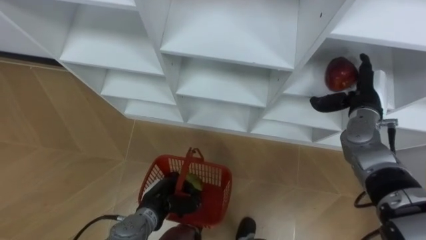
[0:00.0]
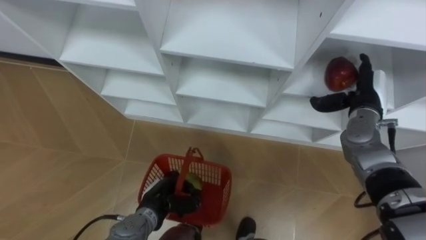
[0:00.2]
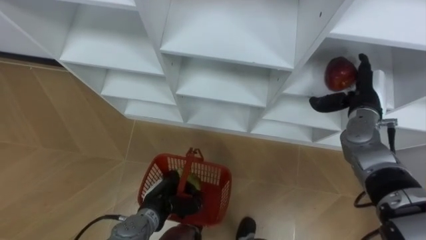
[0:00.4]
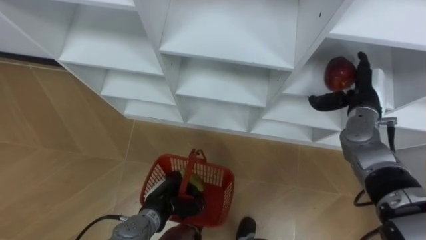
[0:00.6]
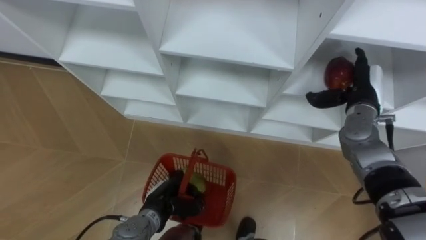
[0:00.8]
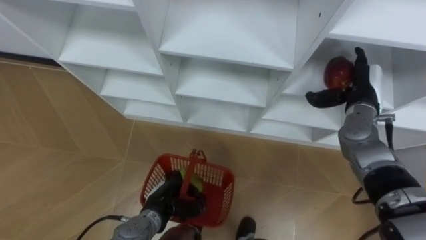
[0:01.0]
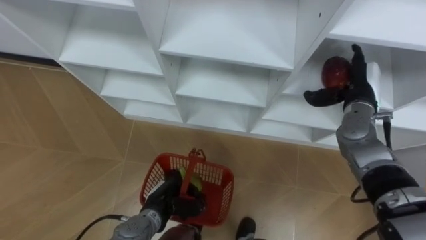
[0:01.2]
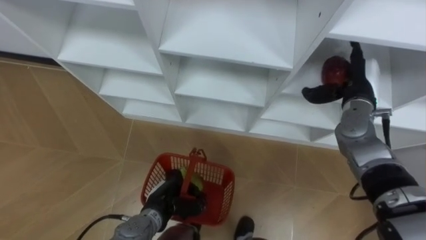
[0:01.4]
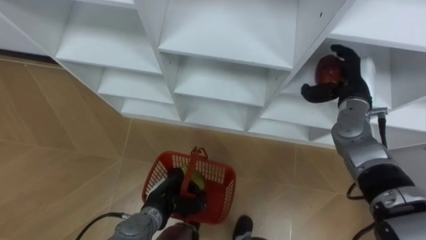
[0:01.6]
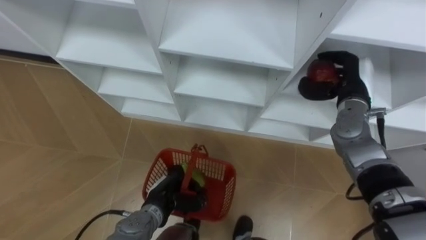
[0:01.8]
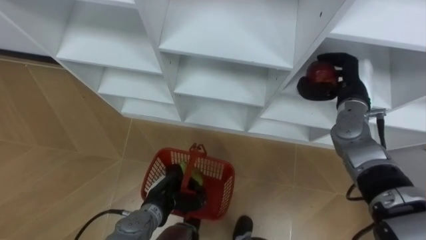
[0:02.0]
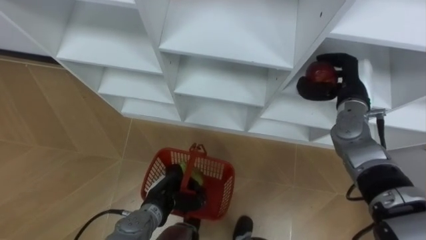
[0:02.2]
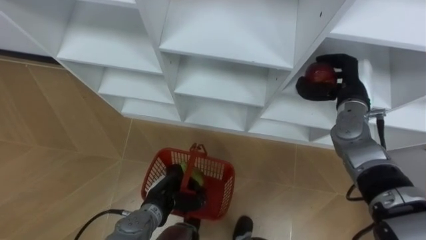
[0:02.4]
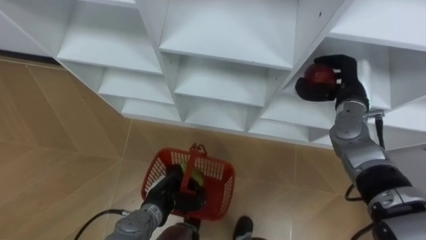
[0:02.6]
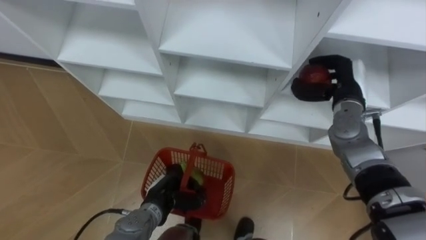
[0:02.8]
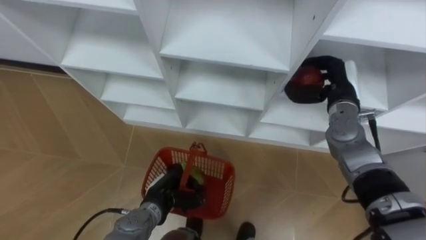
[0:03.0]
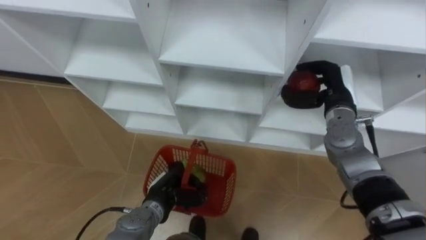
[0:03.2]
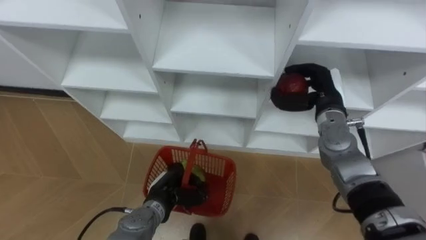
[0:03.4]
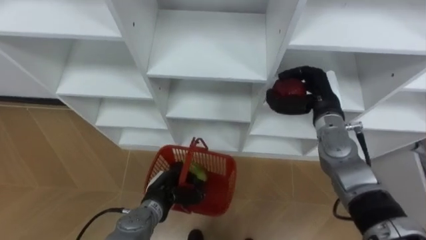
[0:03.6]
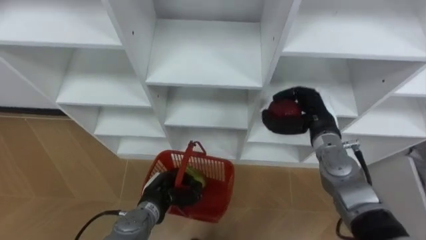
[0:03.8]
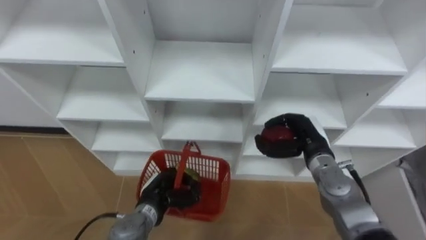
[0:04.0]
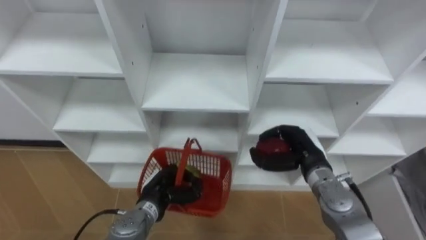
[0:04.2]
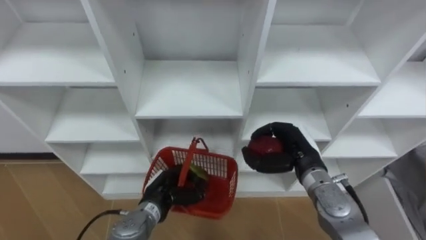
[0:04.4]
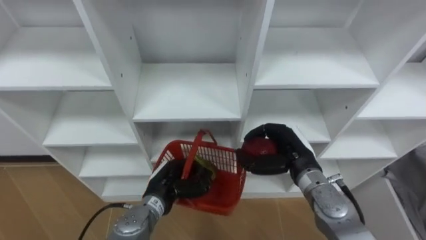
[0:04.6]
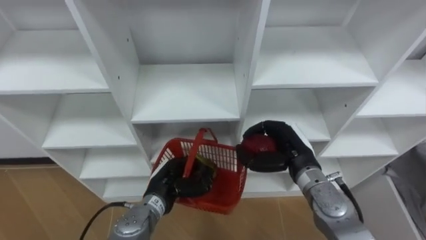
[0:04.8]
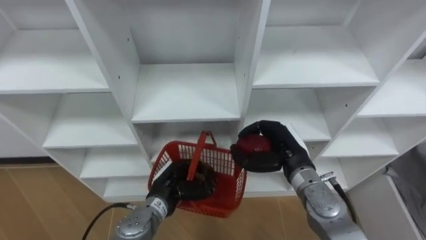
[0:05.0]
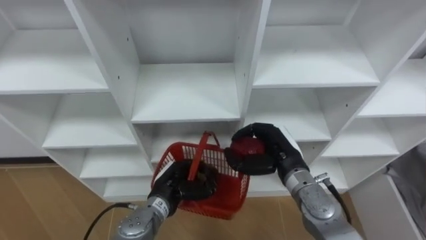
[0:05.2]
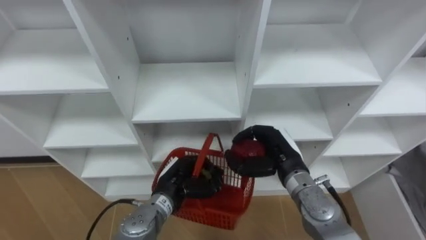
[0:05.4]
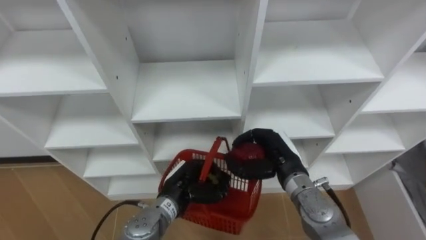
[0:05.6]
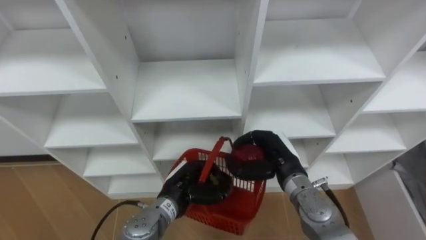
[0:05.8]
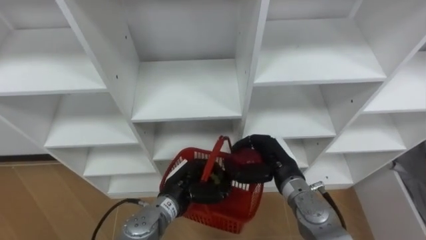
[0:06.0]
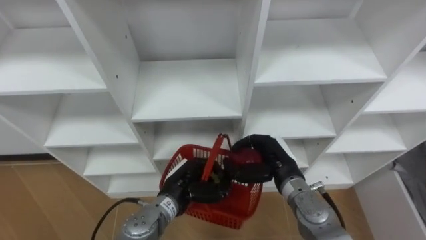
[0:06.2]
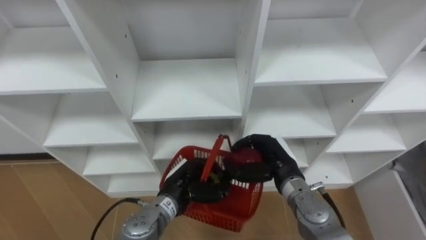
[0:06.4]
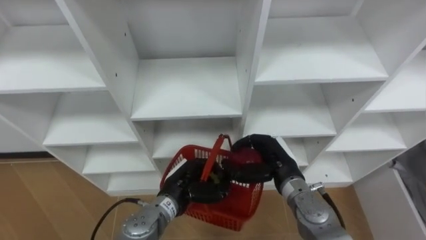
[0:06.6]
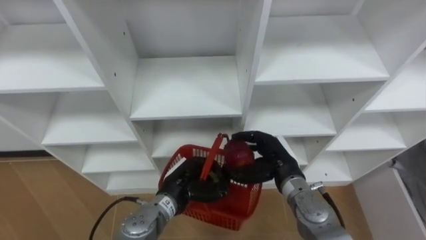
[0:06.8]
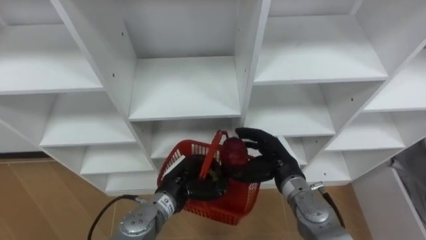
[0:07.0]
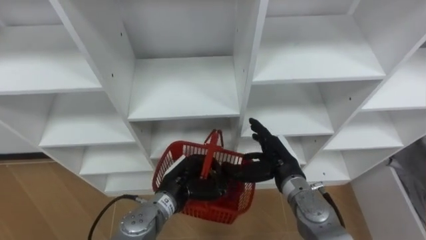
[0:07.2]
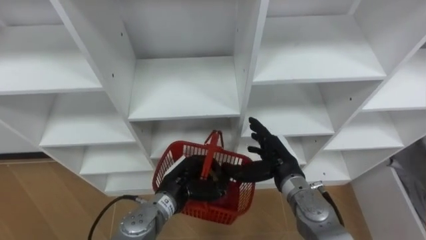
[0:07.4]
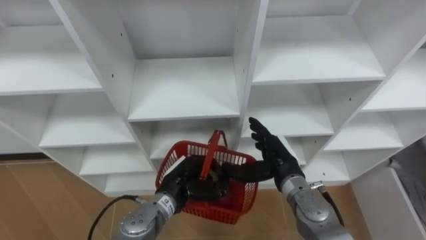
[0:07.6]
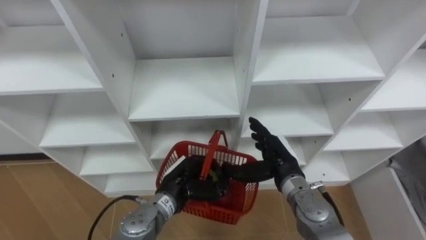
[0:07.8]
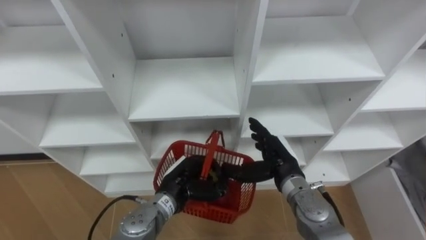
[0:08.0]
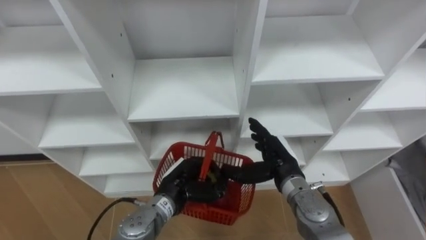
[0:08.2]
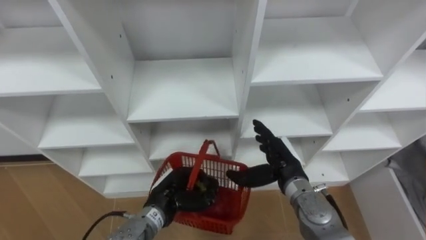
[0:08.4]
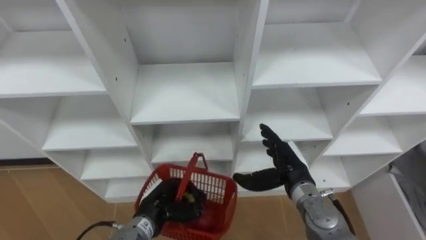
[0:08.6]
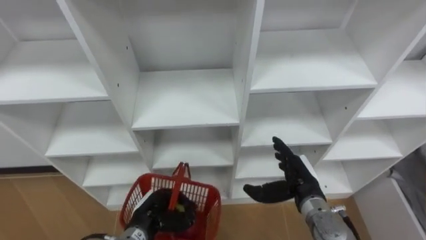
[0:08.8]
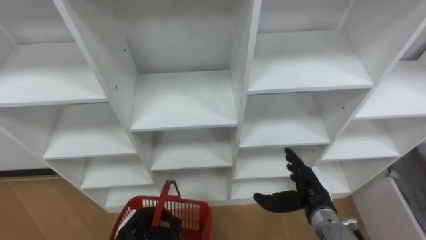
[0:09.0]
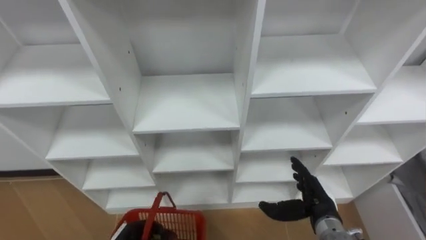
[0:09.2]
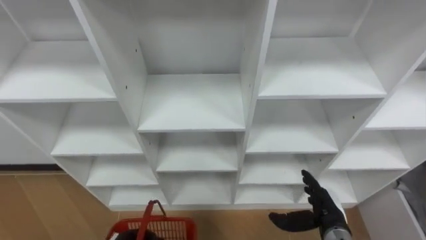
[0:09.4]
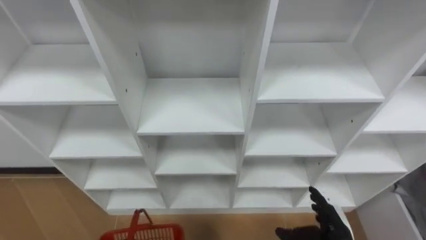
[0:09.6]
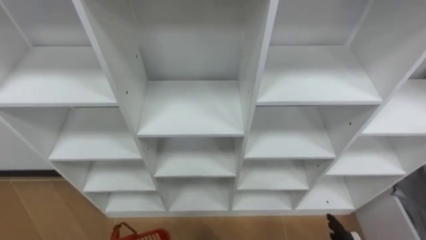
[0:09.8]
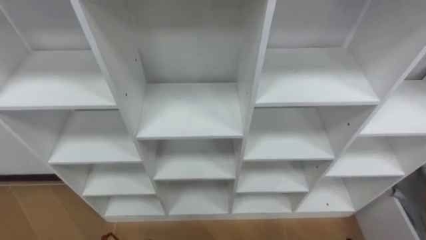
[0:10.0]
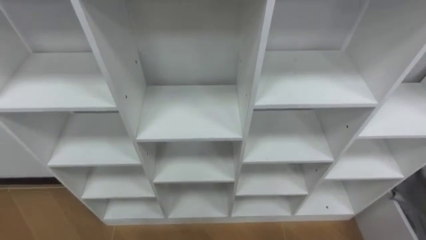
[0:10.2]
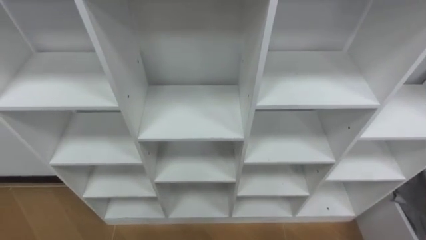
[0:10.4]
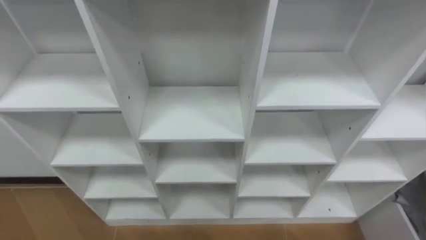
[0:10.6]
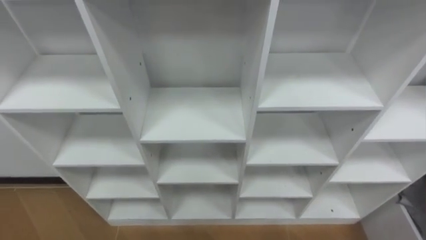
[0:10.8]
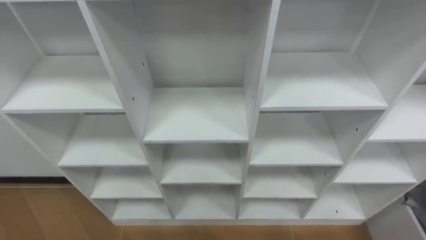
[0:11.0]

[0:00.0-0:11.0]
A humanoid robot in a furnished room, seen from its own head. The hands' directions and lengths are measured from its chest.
Task of the whole recording: Hold the basket and collect the fruits from 3 different cells of the closet into it.
0:00.0 to 0:01.6: The hands stay close to where they were, moving slightly.
0:01.6 to 0:03.2: The right hand closes its fingers.
0:03.2 to 0:04.8: The right hand goes about 15 cm backward, to the left and downward.
0:06.2 to 0:07.8: The right hand opens up.
0:07.8 to 0:09.4: The right hand goes some 15 cm to the right, backward and downward.

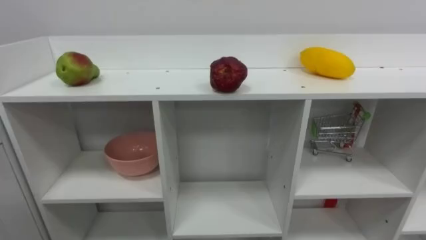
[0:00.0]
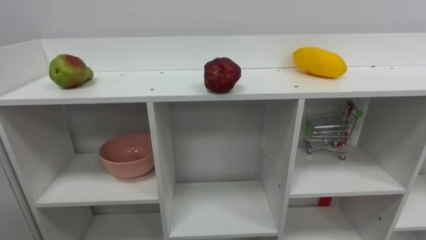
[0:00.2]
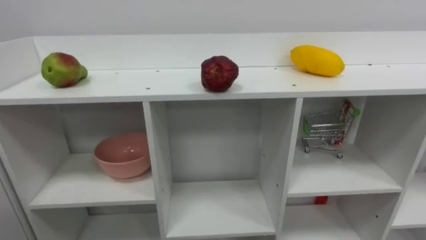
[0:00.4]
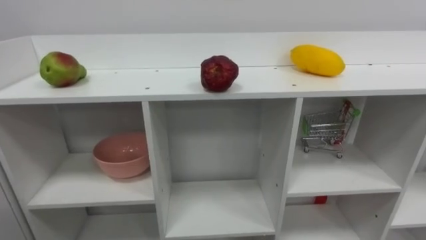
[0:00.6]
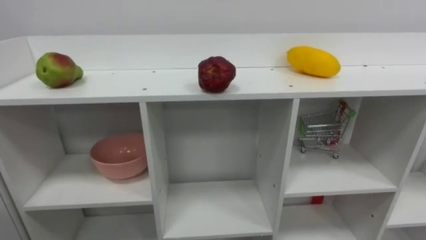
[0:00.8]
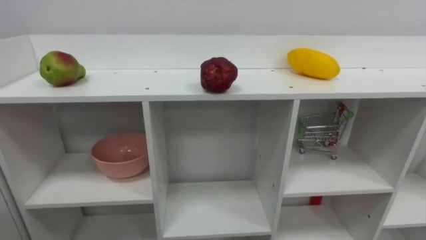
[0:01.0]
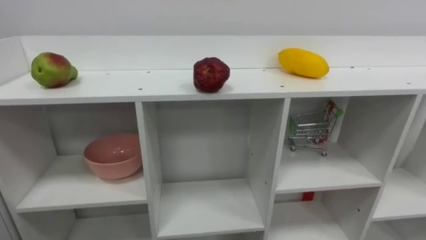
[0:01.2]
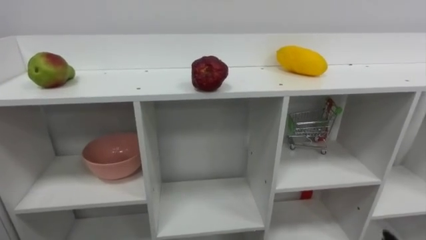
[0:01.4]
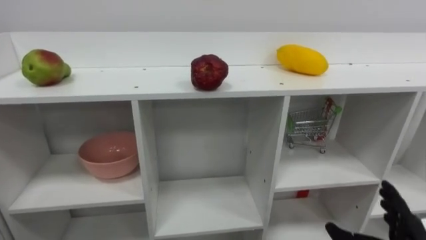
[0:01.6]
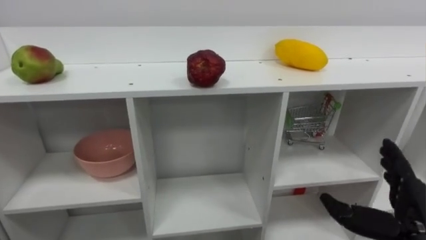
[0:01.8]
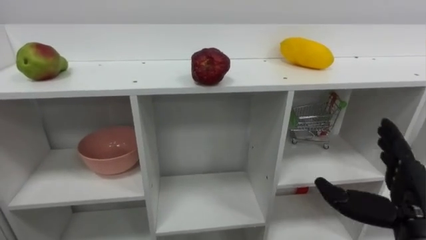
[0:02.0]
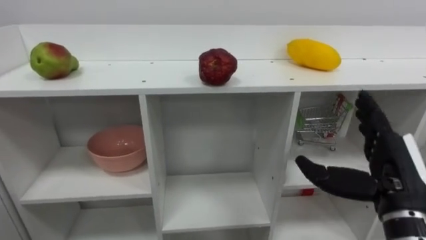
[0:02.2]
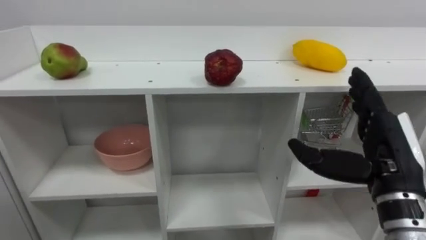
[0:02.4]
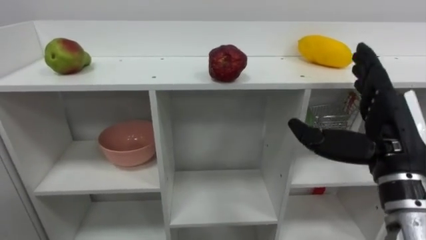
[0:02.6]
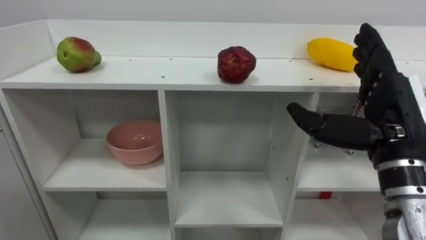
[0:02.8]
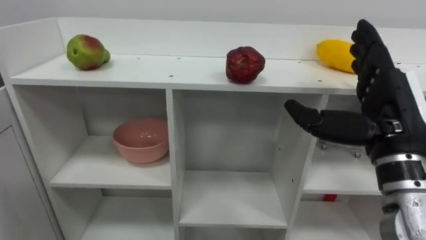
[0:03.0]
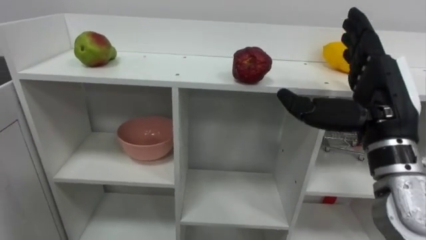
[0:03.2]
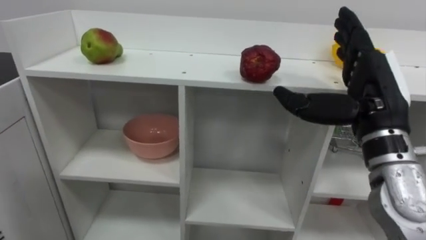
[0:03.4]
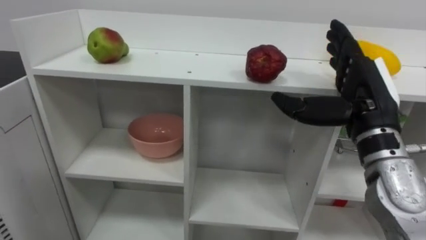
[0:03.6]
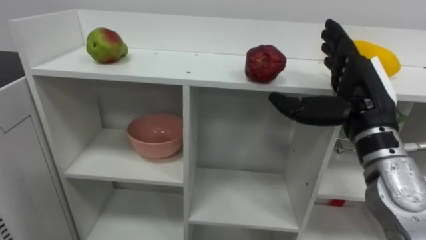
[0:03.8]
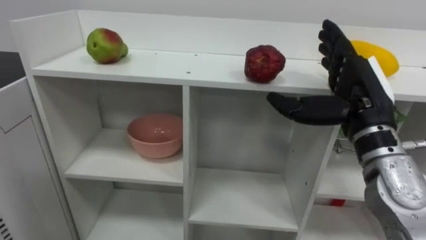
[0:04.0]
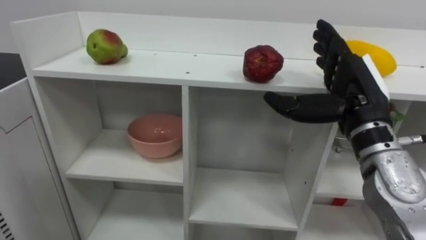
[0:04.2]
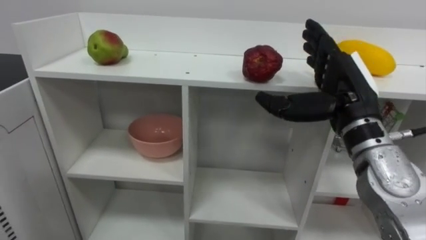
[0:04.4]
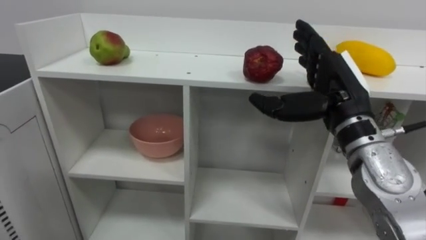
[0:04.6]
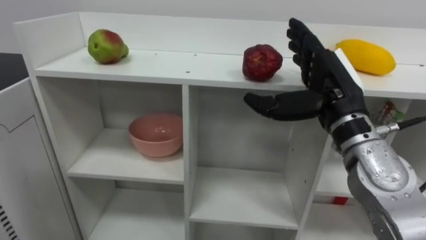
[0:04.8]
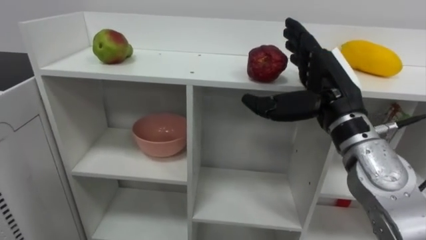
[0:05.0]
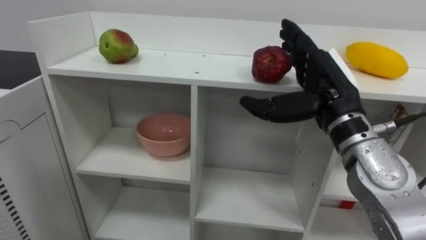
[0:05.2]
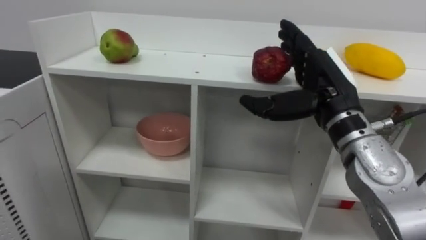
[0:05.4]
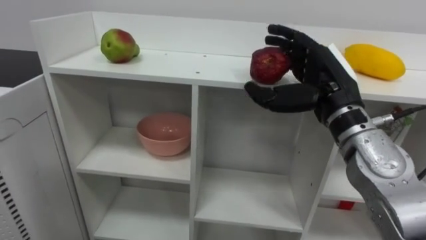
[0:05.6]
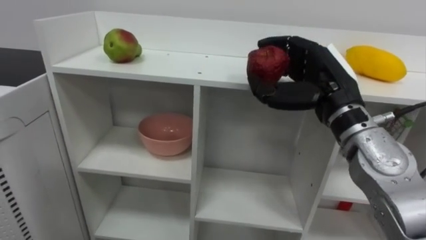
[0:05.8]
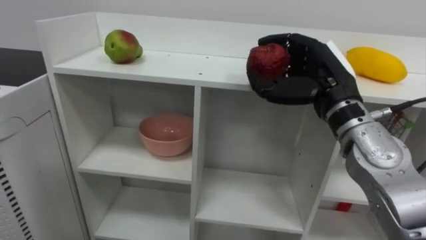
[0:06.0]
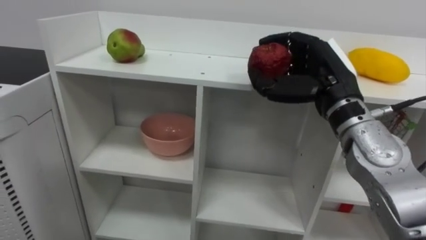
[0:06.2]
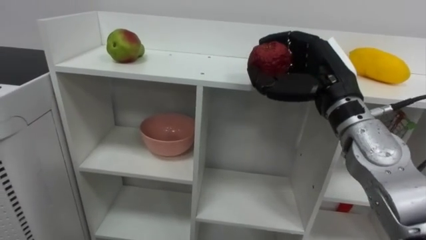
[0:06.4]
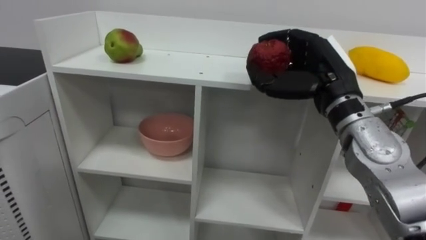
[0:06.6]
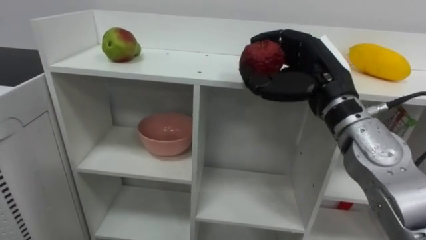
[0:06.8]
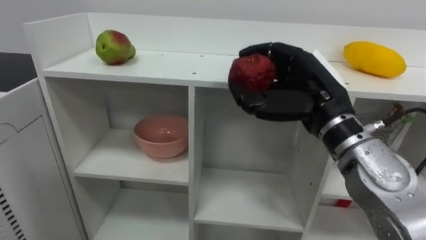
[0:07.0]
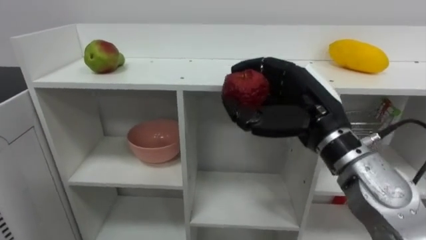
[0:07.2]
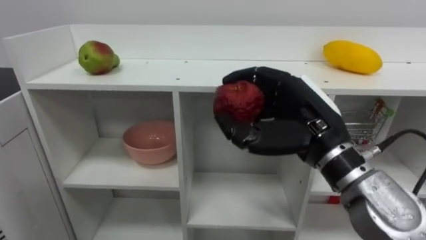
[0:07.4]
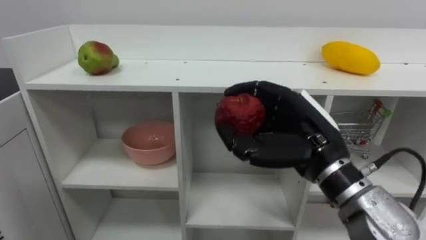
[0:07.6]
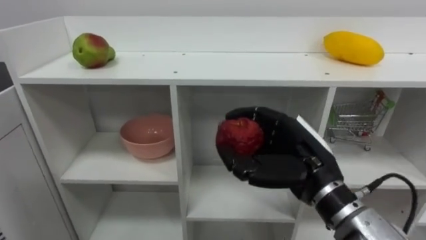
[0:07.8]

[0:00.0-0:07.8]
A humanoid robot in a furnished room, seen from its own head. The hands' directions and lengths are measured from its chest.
Task of the whole recording: Put the apple in the cell in the second column from the left and the second row from the top.
0:03.2 to 0:04.6: The right hand shifts by approximately 5 cm.
0:04.6 to 0:06.2: The right hand closes its fingers.
0:06.2 to 0:07.8: The right hand shifts some 10 cm downward and backward.
